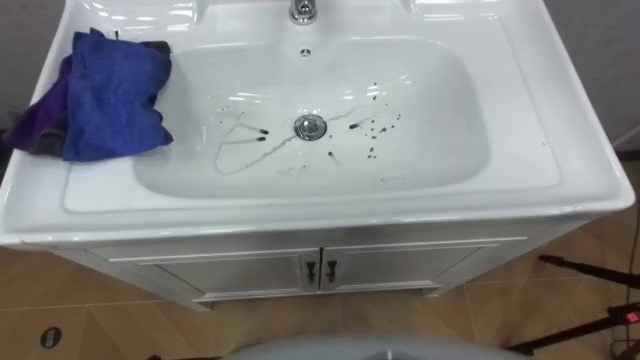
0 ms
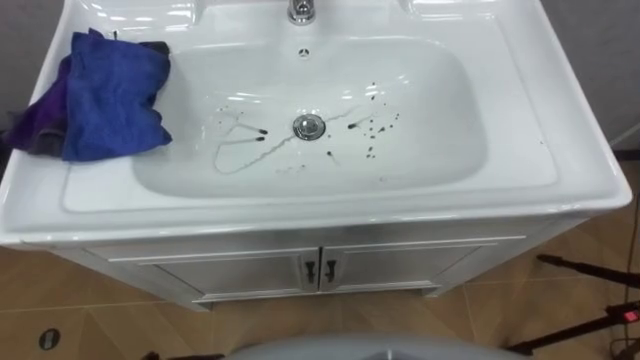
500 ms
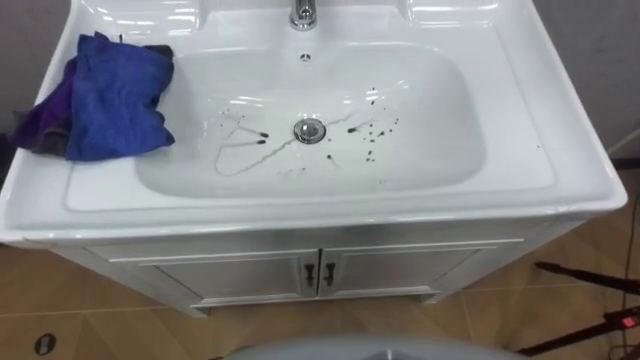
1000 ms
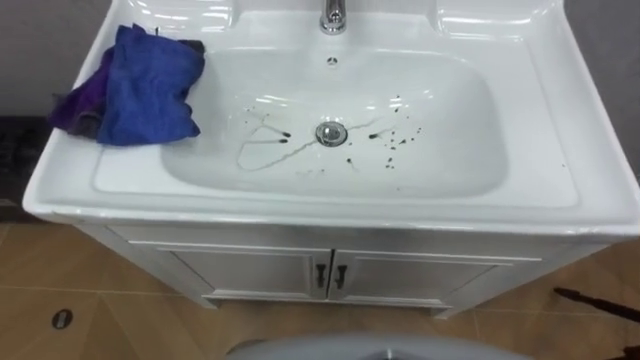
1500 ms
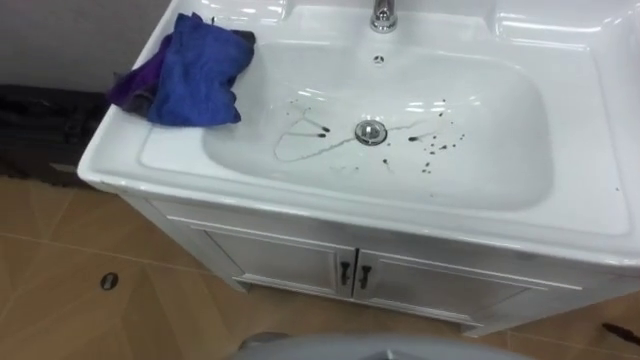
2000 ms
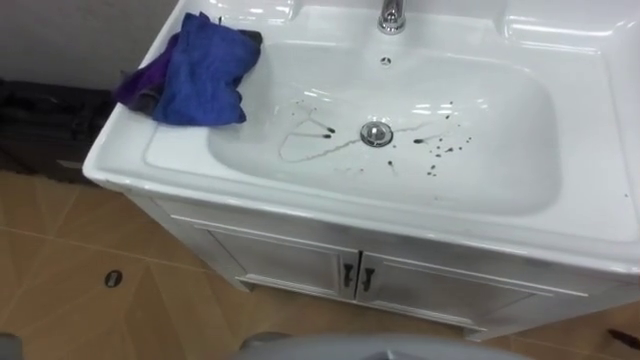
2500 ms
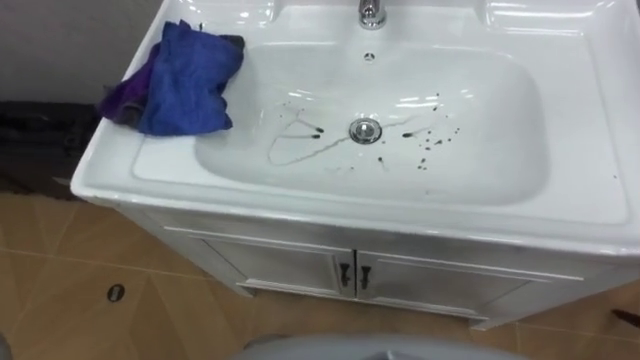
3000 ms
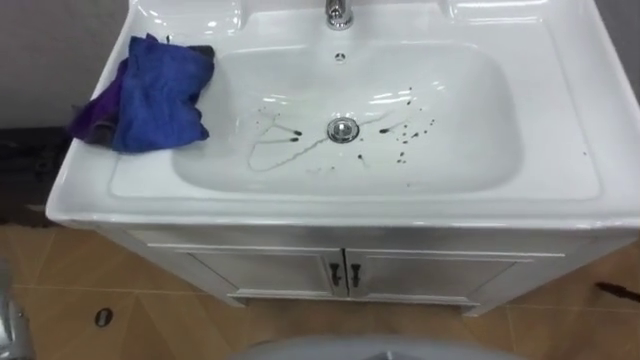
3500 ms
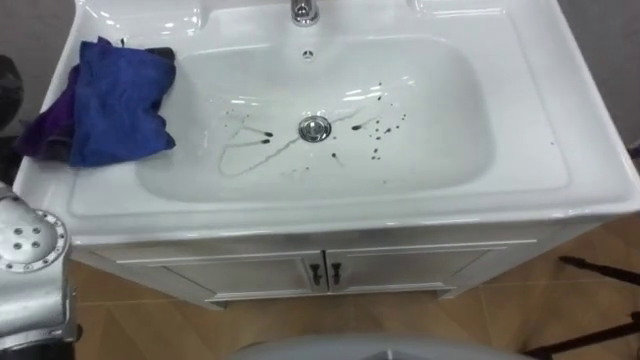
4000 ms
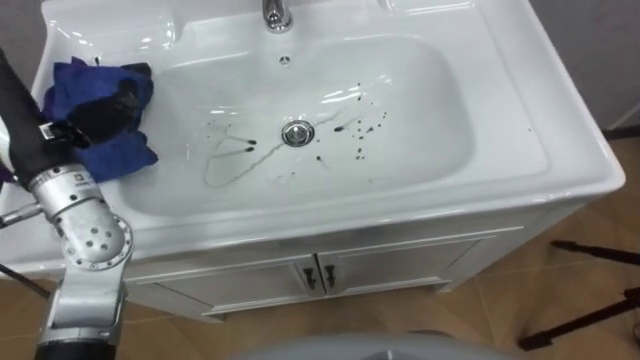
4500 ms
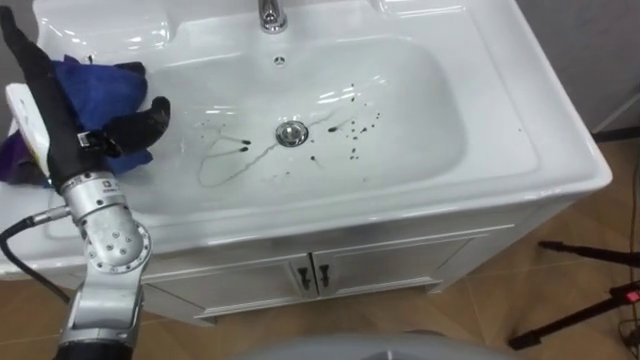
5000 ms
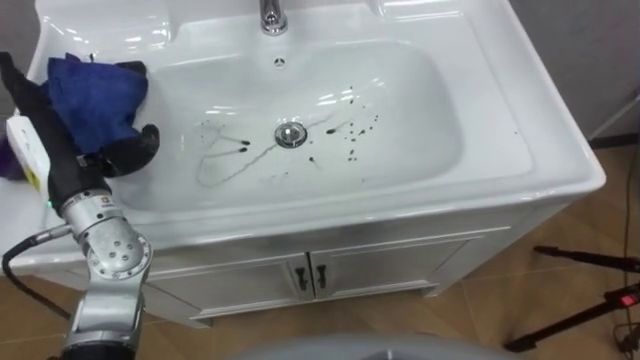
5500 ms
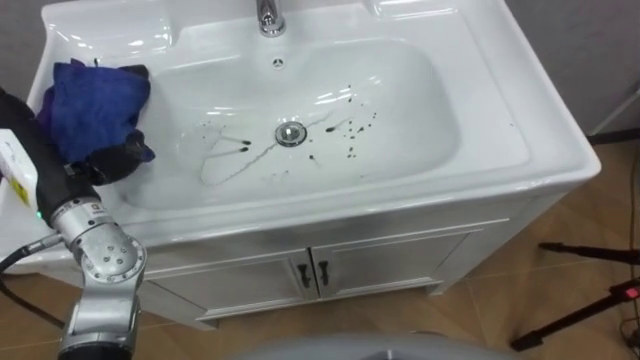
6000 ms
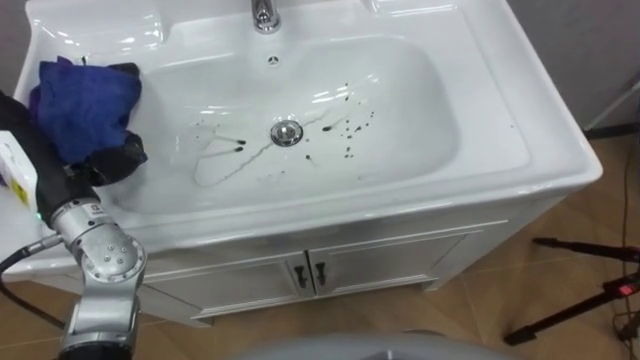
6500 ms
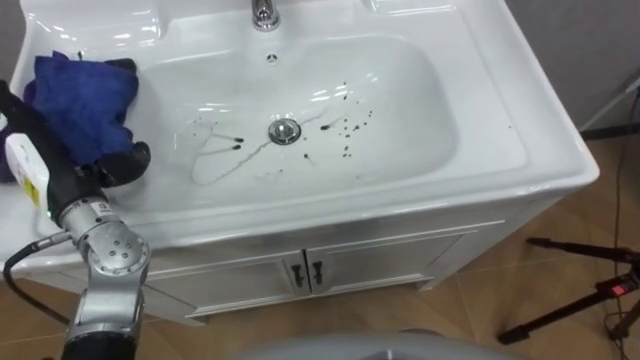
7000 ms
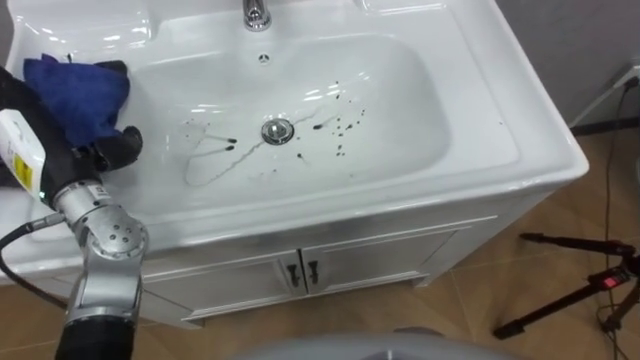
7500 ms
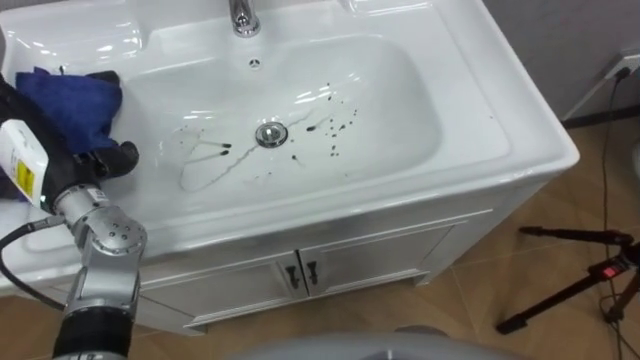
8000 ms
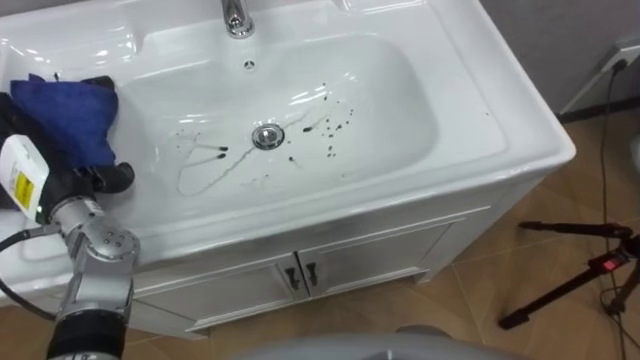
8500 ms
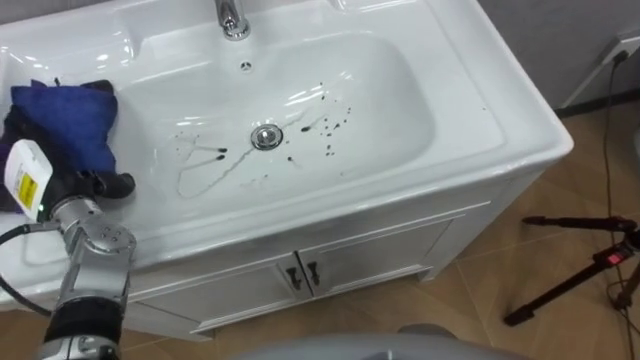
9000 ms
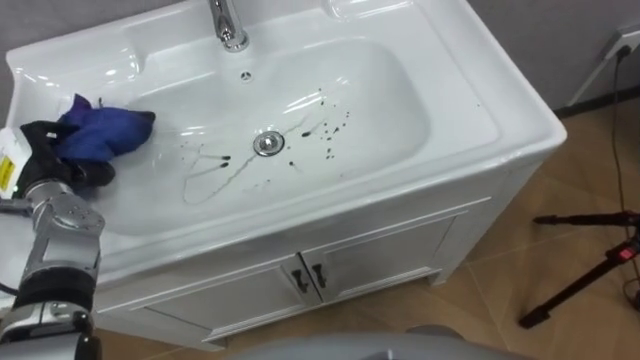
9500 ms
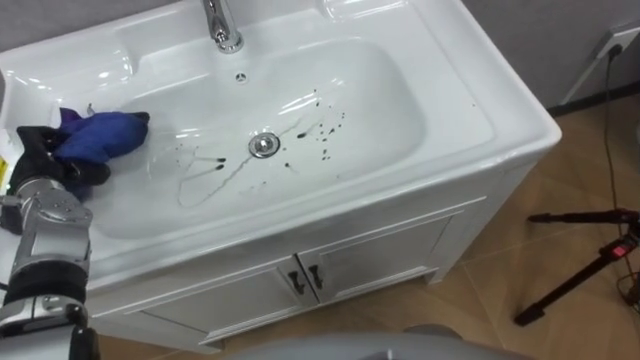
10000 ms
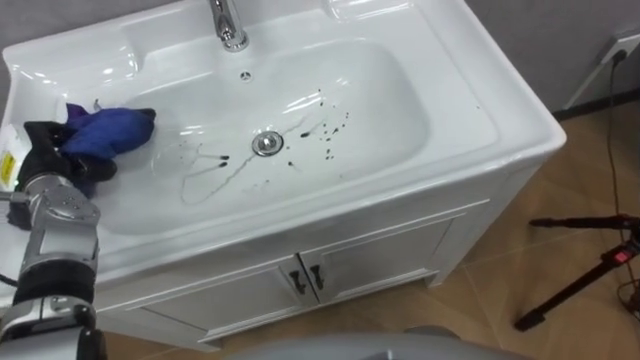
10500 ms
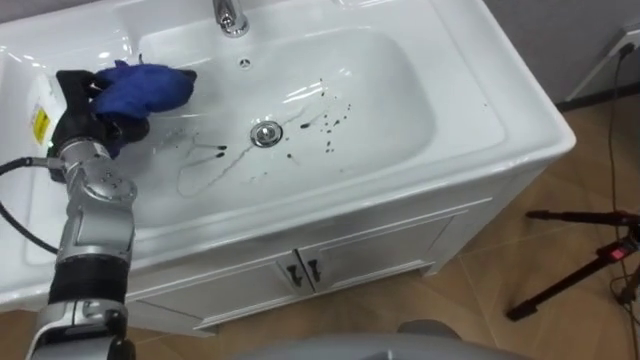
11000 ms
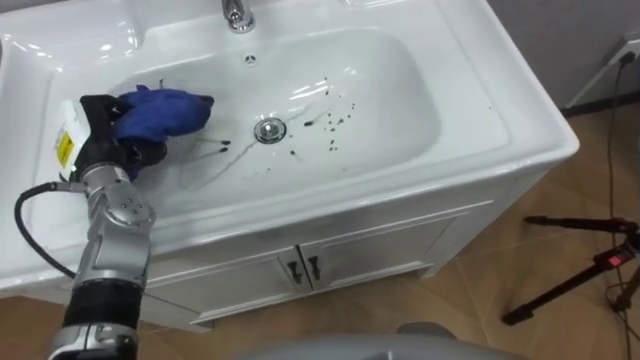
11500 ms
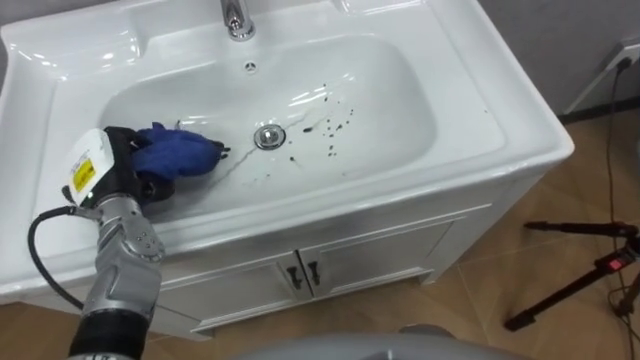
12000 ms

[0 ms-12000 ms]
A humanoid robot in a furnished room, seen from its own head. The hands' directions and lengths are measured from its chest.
Task of the whole recording: Use the cloth on the right to wipe away the black stain in the sink.
8000 ms to 10000 ms: The left hand travels to the left by approximately 5 cm, and closes its fingers.
10000 ms to 12000 ms: The left hand goes some 10 cm to the right.

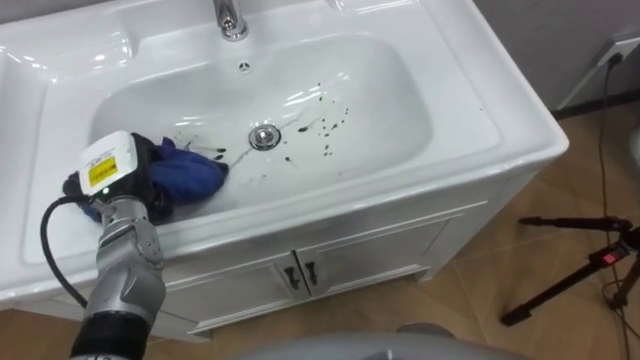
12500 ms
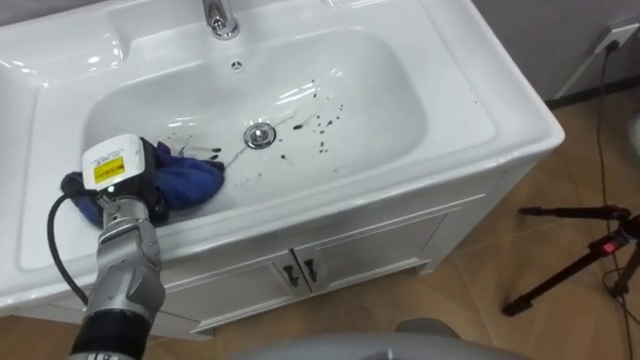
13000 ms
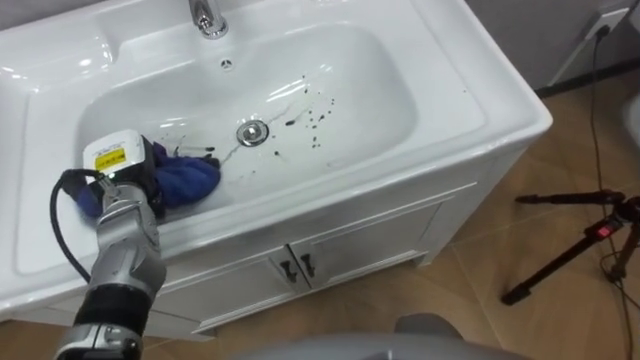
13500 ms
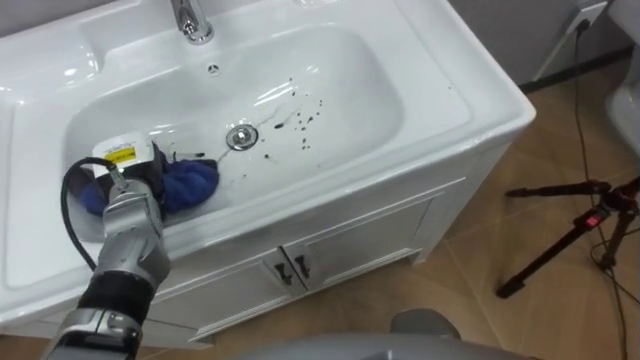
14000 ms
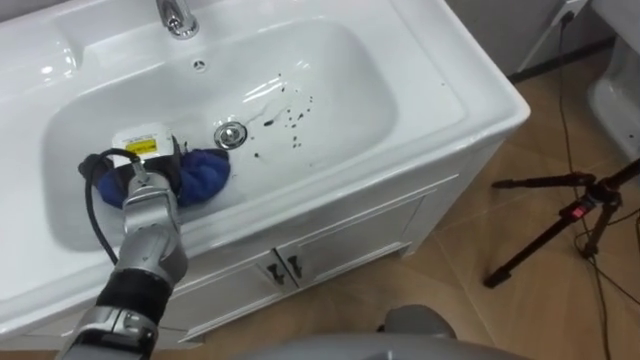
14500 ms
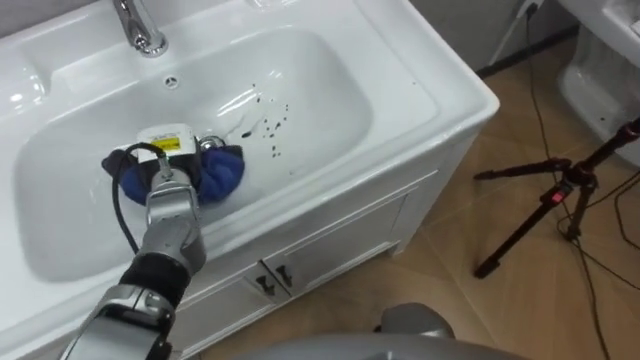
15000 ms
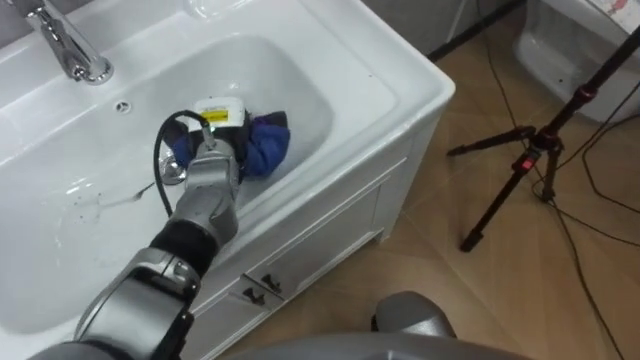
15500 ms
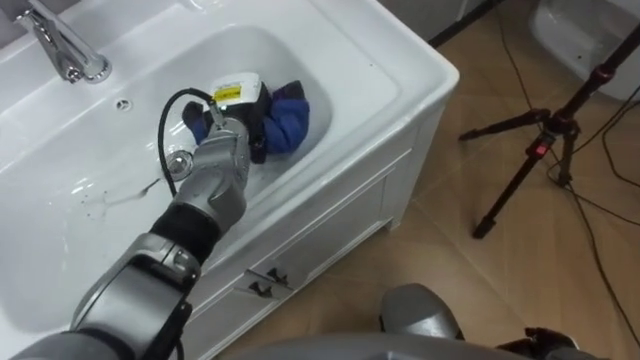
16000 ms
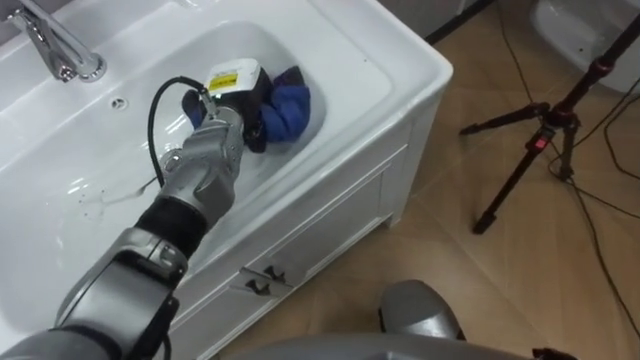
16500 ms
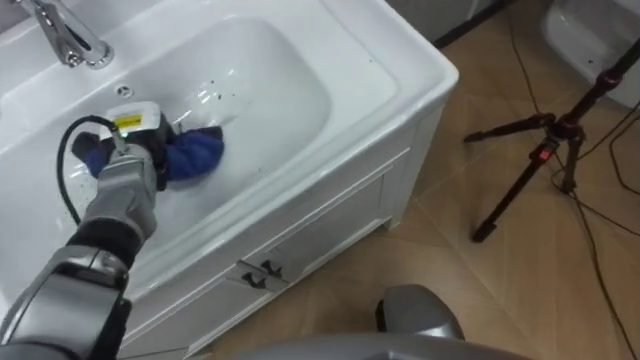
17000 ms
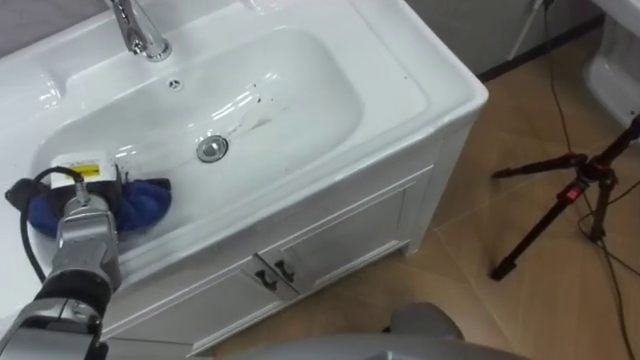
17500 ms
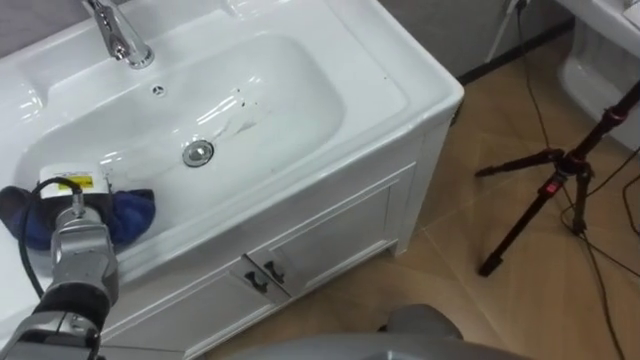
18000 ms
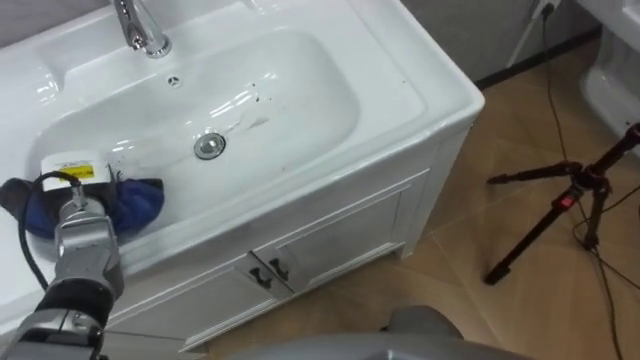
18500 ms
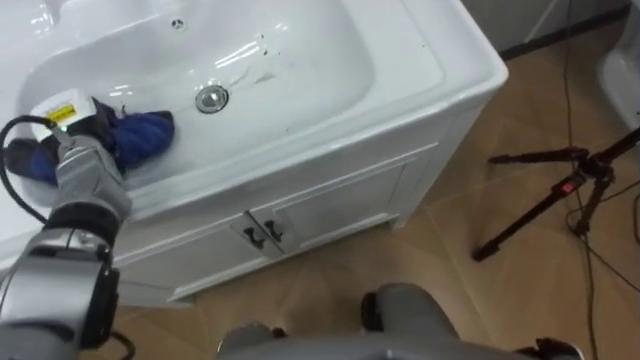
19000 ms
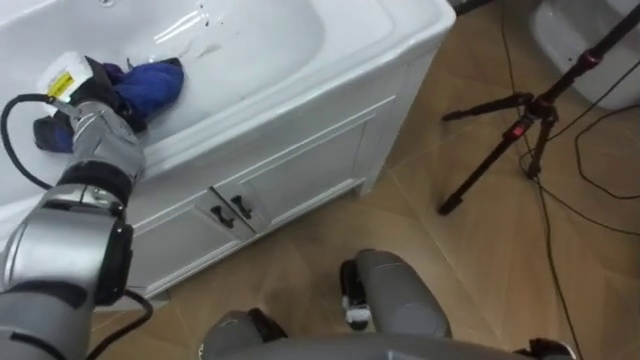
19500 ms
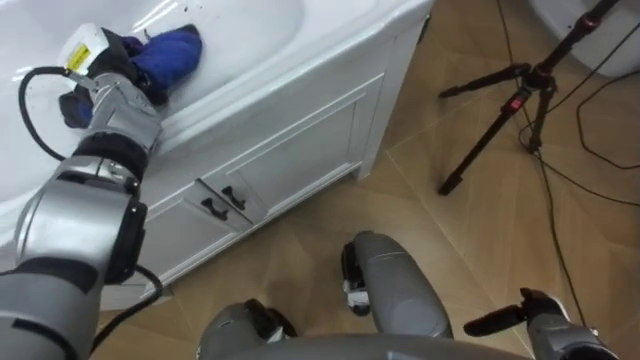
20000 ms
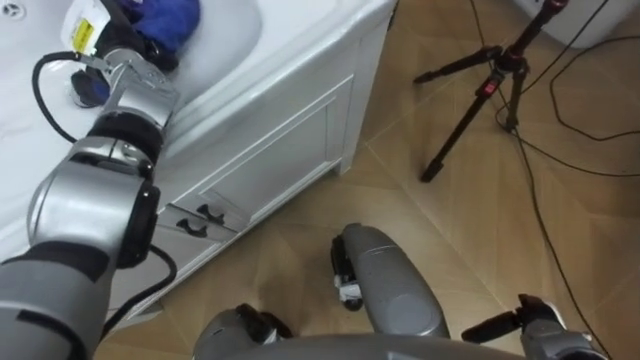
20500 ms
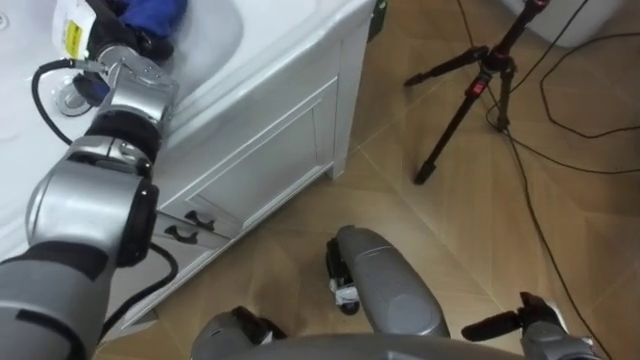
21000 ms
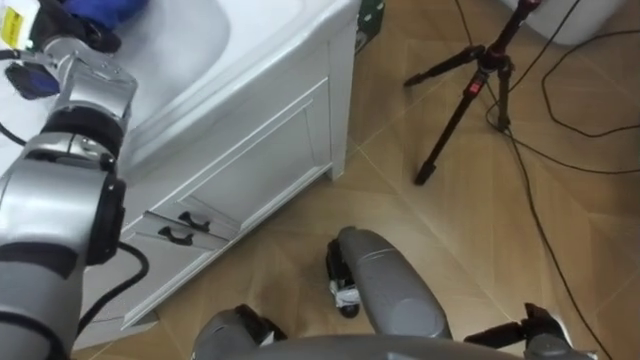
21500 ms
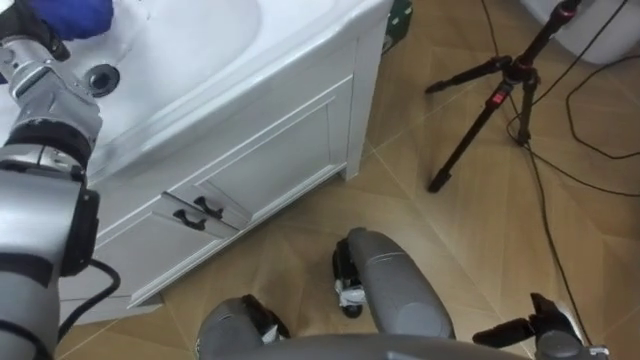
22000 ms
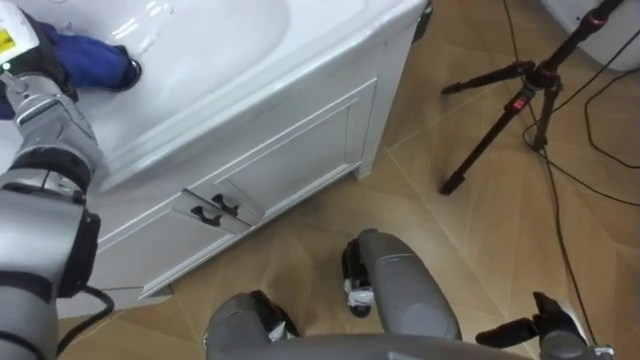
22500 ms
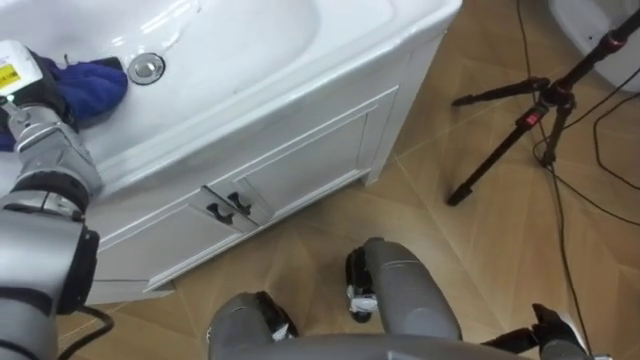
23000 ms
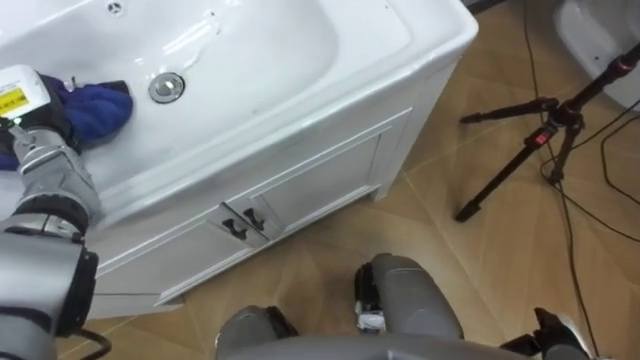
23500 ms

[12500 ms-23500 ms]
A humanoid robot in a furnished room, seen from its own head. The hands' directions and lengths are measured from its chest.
Task of the whole recording: Use the cloth on the right to wipe away the black stain in the sink.
12500 ms to 14500 ms: The left hand changes place by some 5 cm.
14500 ms to 16000 ms: The left hand is displaced to the right and forward by roughly 15 cm.
16000 ms to 18000 ms: The left hand travels to the left and backward by approximately 25 cm.
18000 ms to 20000 ms: The left hand is displaced forward, upward and to the right by roughly 20 cm.
20000 ms to 21500 ms: The left hand is displaced upward by roughly 5 cm.
